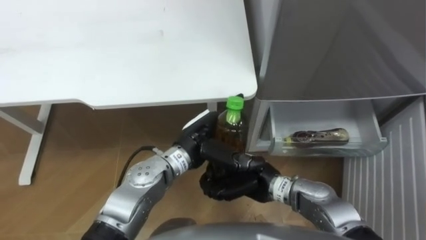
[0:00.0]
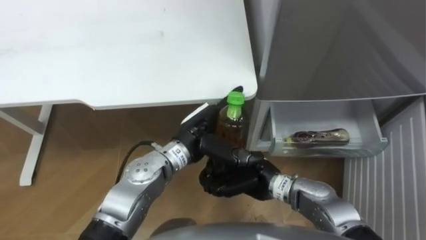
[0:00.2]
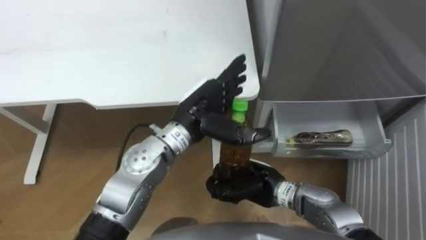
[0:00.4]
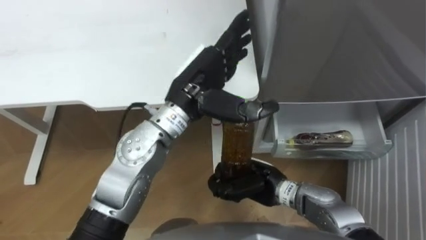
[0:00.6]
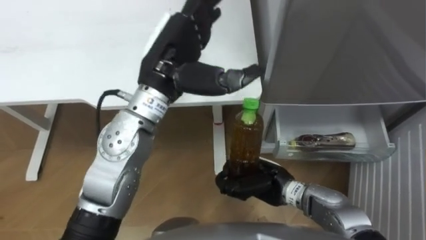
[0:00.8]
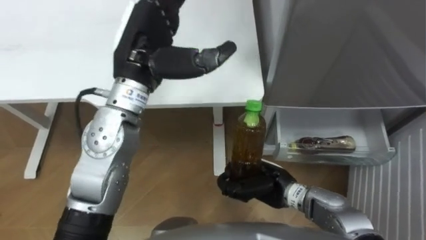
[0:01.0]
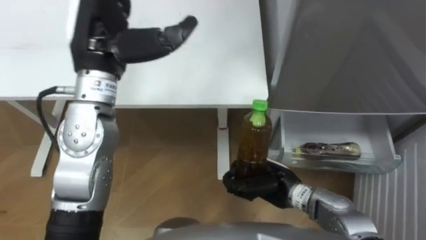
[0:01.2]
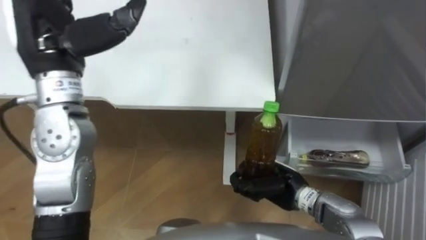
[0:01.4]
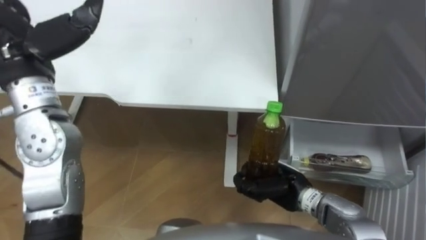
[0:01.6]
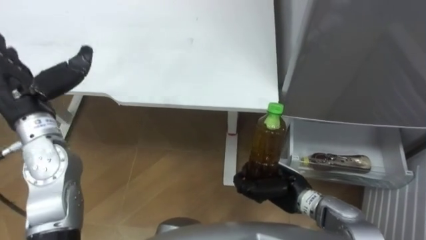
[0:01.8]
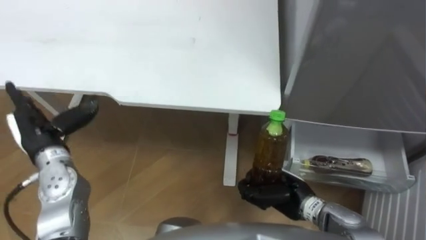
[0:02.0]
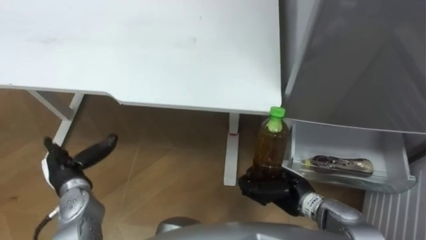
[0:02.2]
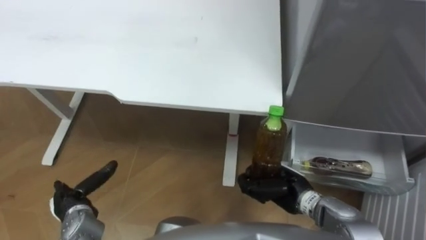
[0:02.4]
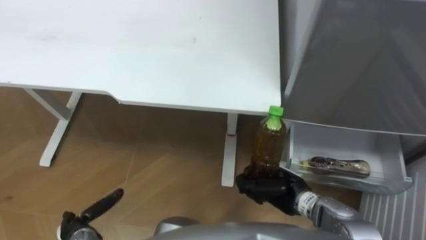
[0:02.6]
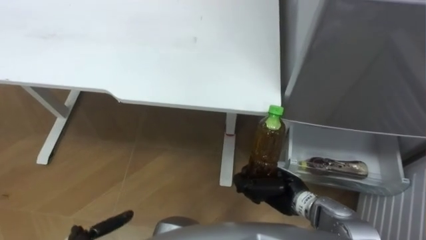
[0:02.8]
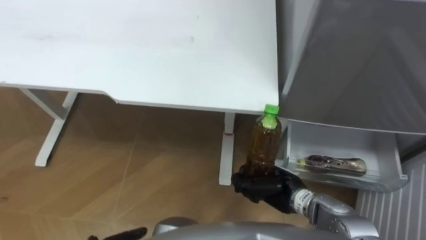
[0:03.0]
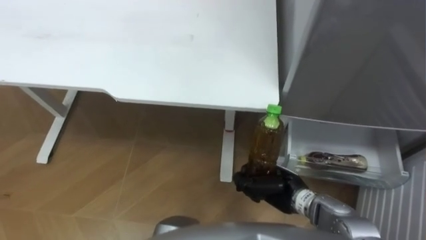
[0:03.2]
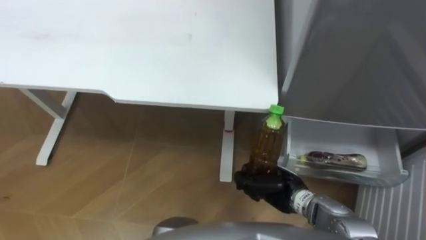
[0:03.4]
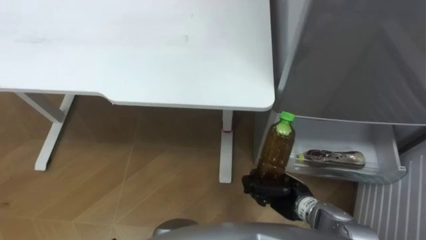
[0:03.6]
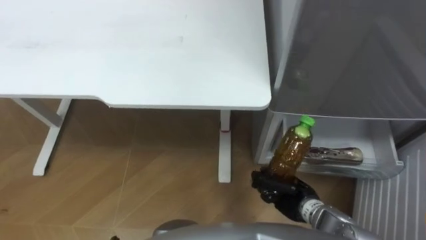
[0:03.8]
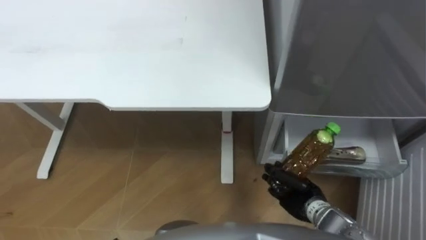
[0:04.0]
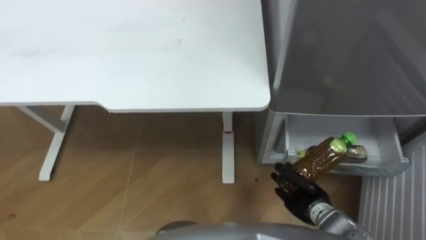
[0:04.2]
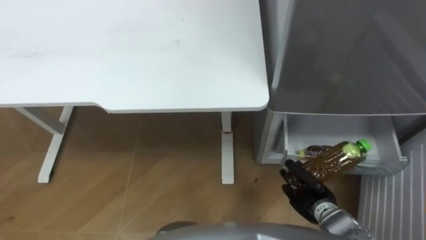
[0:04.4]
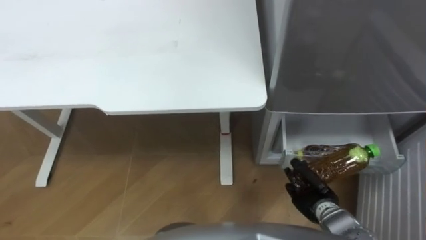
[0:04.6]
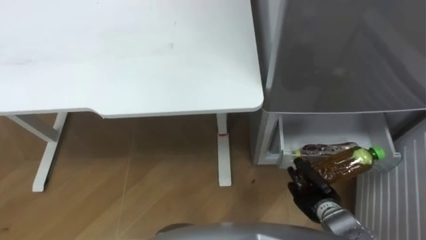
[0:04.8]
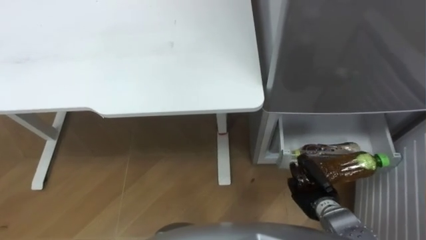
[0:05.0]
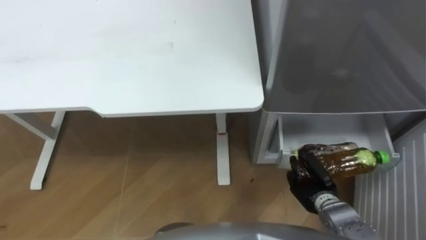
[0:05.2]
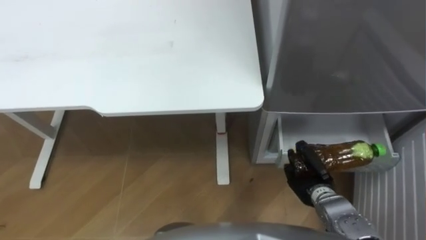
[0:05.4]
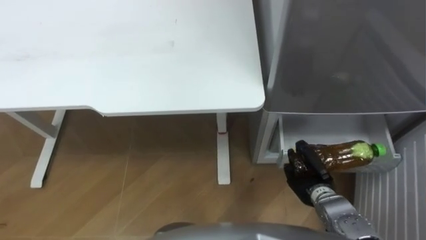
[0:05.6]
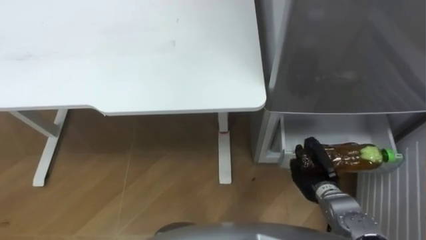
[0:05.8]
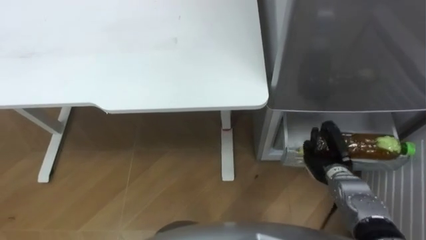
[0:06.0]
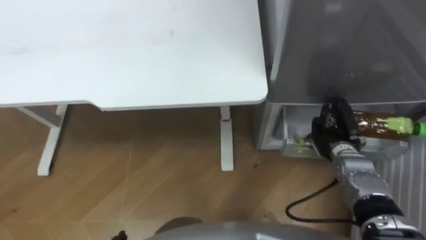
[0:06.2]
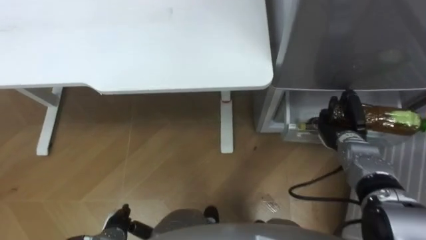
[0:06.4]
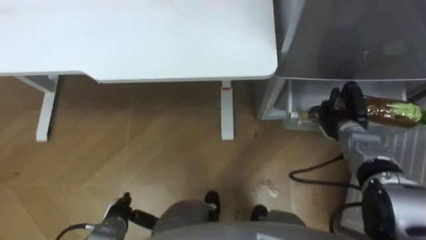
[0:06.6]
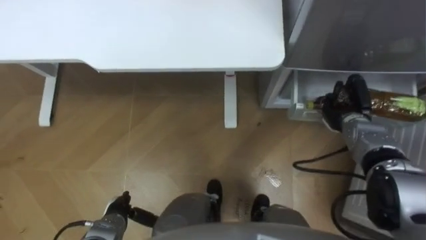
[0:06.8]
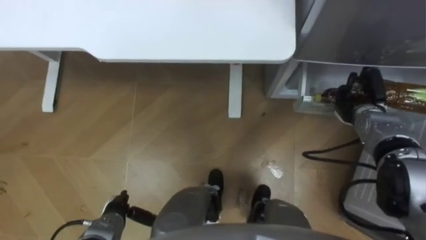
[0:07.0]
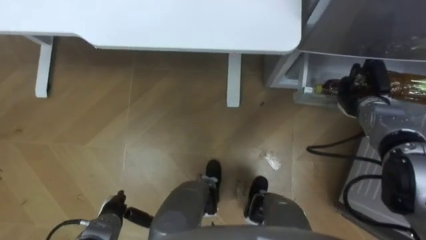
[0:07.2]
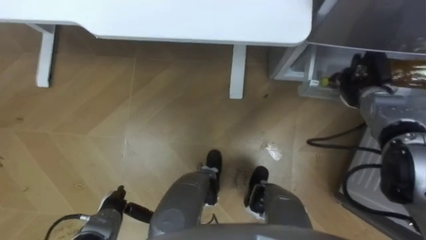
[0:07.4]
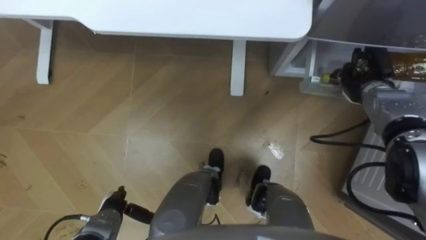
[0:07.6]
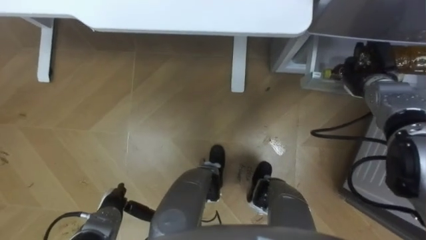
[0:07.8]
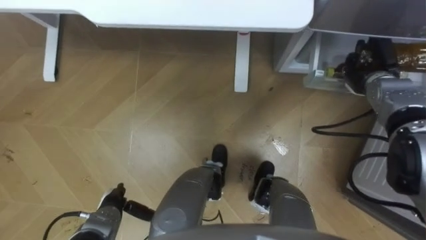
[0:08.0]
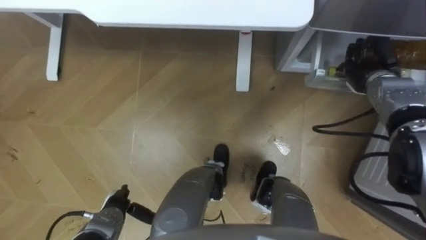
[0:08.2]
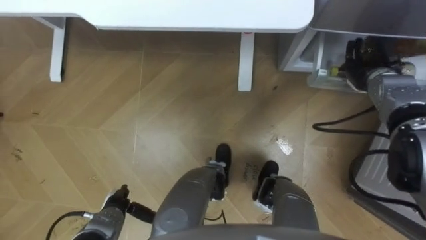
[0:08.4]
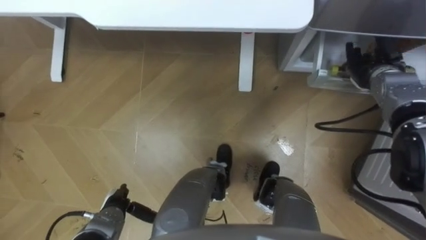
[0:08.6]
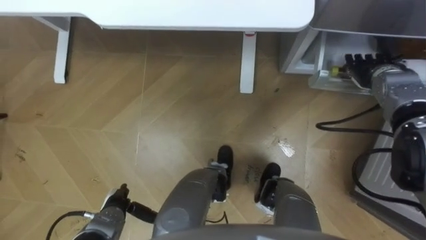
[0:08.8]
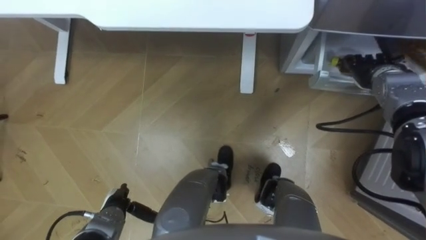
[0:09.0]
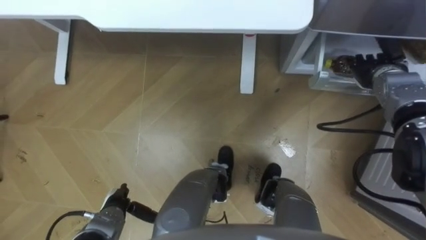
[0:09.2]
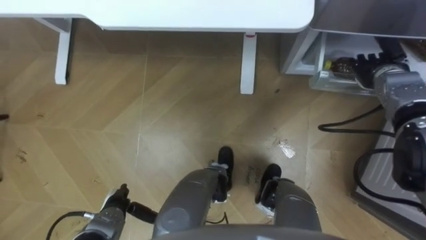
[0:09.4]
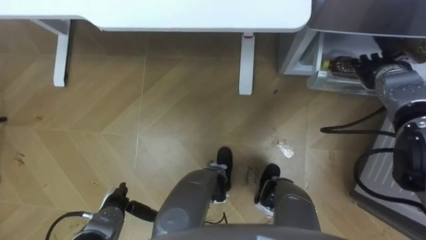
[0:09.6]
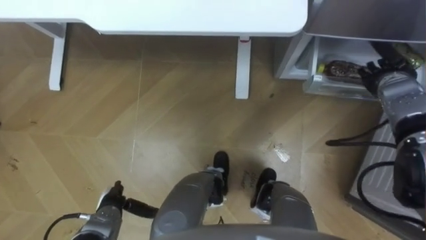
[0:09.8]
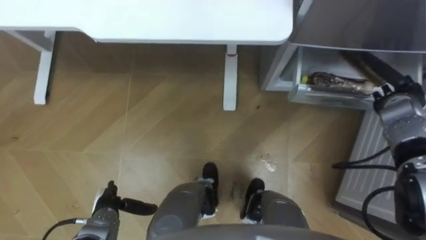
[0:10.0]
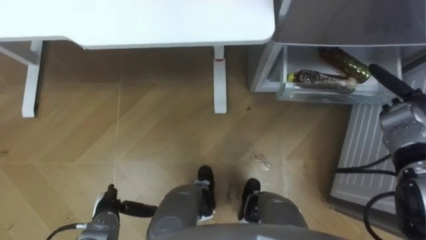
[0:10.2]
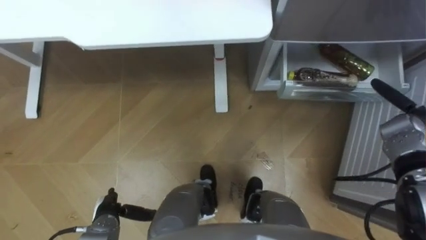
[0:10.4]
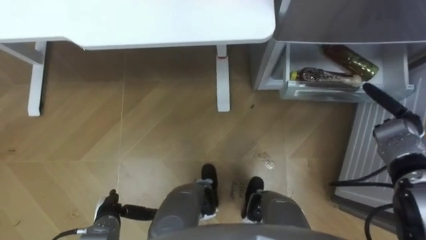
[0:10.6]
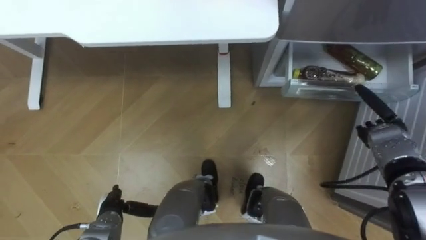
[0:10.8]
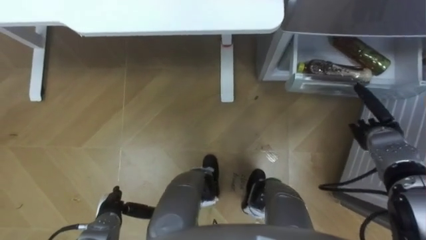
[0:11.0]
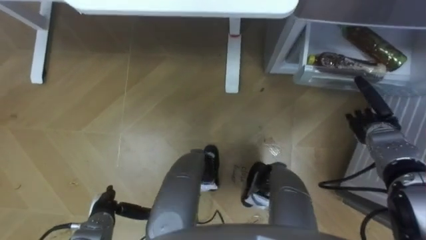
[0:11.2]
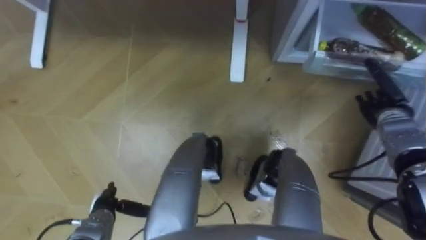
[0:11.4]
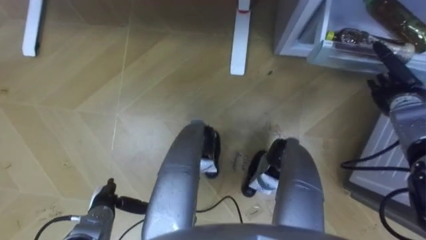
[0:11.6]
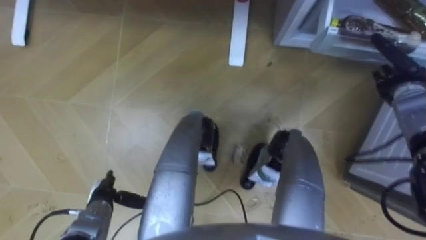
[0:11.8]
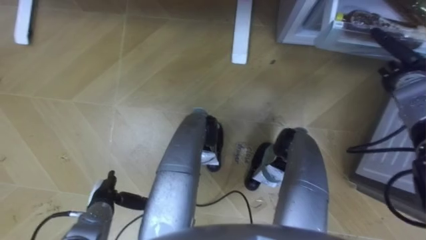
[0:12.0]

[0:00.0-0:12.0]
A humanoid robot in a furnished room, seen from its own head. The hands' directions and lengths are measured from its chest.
Task of the whole recording: Place the drink on the table on the bottom shelf of the refrigerator, then close the drawer and the refrigerator door.
0:00.0 to 0:01.6: The right hand travels to the right by some 5 cm. The left hand goes approximately 30 cm to the left and upward.
0:03.0 to 0:04.4: The right hand heads to the right, covering roughly 10 cm.
0:04.4 to 0:06.0: The right hand is displaced forward by roughly 5 cm.
0:06.0 to 0:07.6: The right hand goes roughly 20 cm forward, upward and to the right.
0:07.6 to 0:09.0: The right hand opens.
0:09.0 to 0:10.4: The right hand travels backward and to the right by about 10 cm.
0:10.4 to 0:12.0: The right hand is displaced forward and upward by approximately 10 cm.

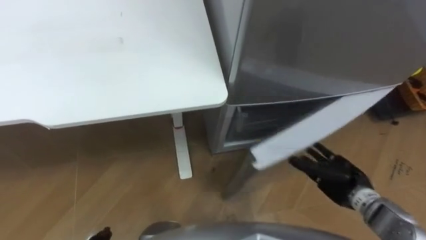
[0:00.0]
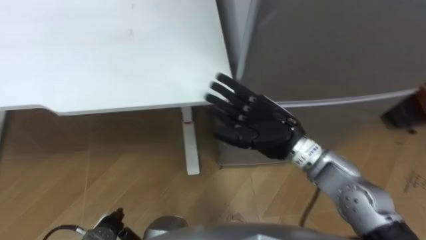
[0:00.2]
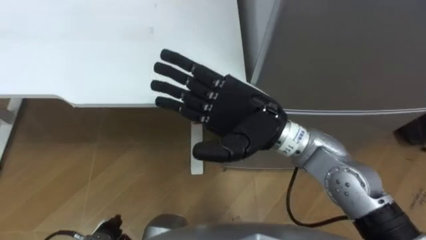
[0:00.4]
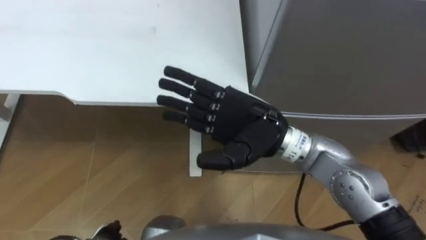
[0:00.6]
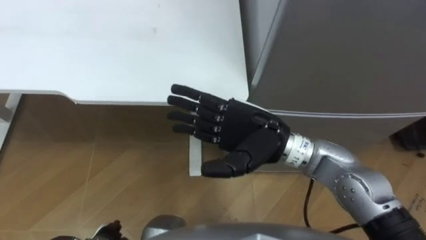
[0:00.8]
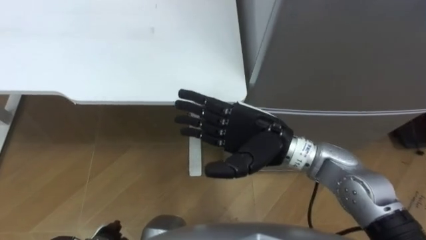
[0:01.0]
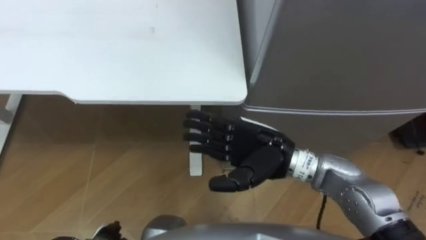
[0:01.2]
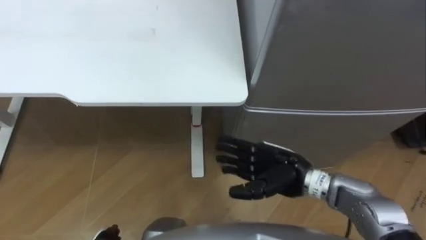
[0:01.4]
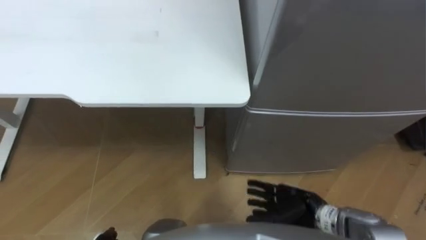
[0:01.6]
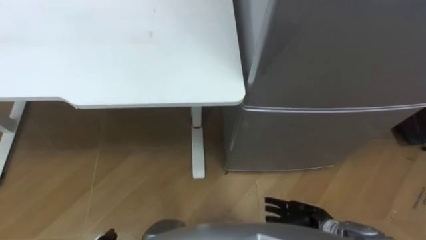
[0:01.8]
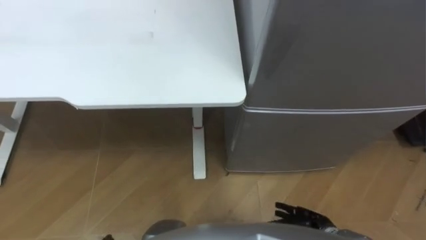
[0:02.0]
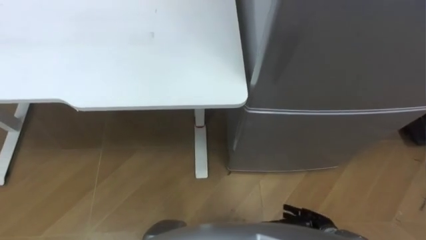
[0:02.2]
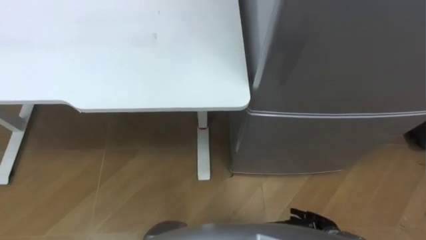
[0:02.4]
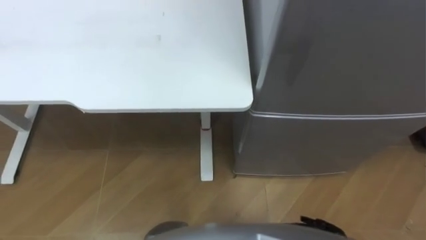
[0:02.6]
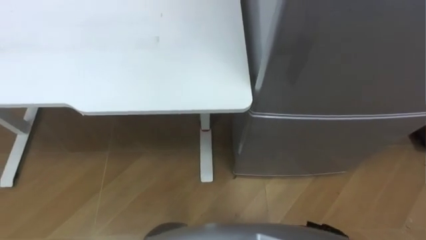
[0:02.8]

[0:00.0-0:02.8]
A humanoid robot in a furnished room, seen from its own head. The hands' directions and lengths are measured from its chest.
Task of the whole recording: Place the drink on the table on the bottom shelf of the refrigerator, then close the drawer and the refrigerator door.
0:00.0 to 0:01.4: The right hand goes about 15 cm to the left, and reaches approximately 25 cm upward, then returns.

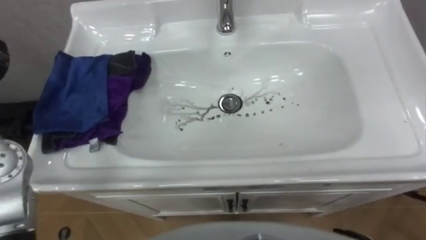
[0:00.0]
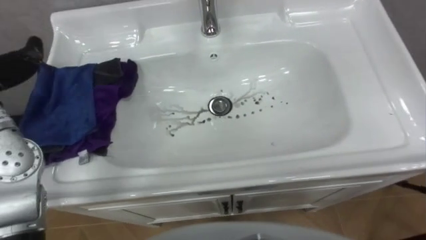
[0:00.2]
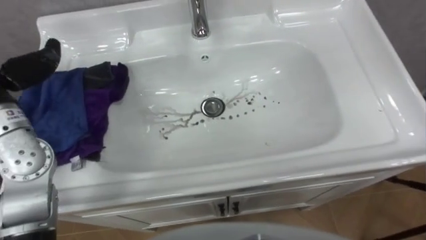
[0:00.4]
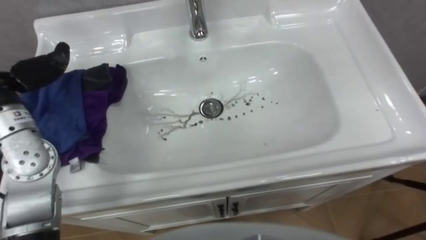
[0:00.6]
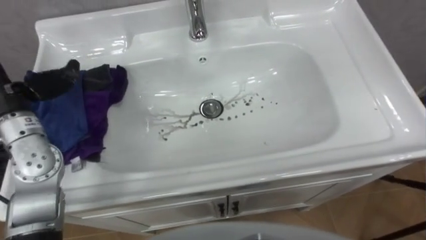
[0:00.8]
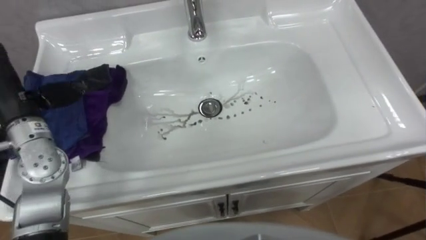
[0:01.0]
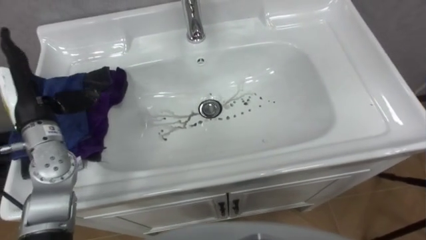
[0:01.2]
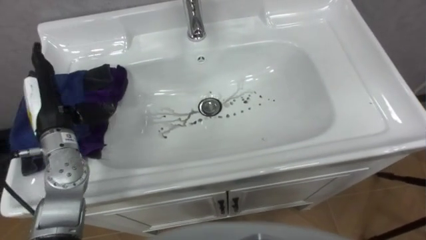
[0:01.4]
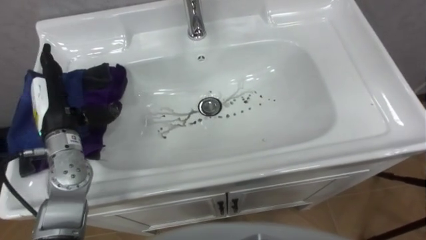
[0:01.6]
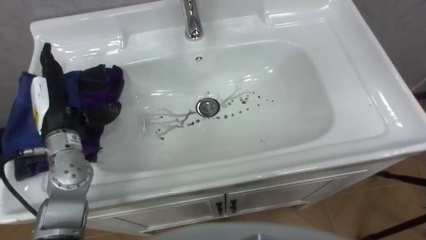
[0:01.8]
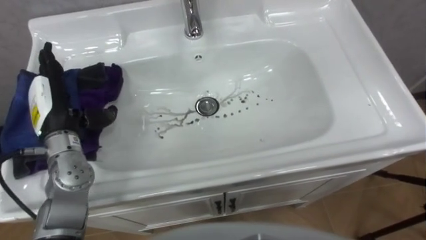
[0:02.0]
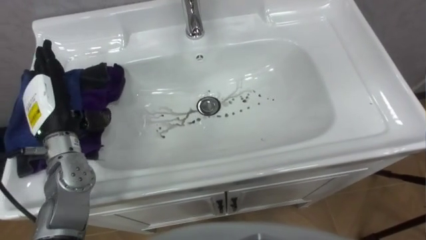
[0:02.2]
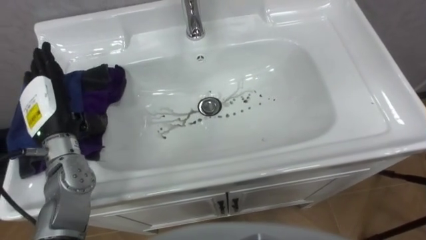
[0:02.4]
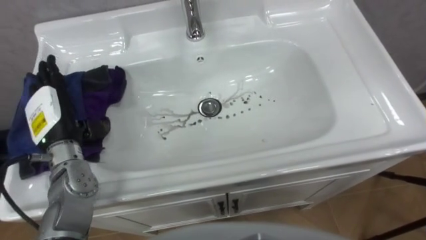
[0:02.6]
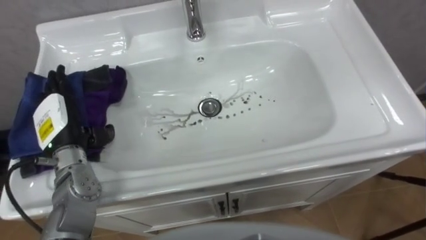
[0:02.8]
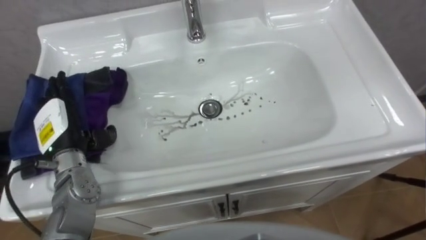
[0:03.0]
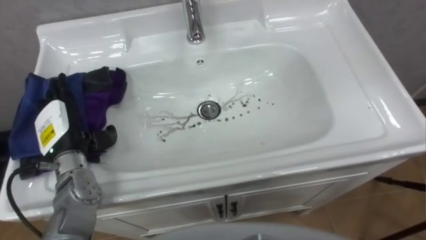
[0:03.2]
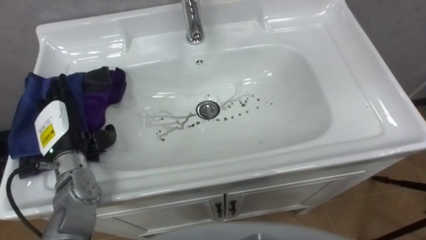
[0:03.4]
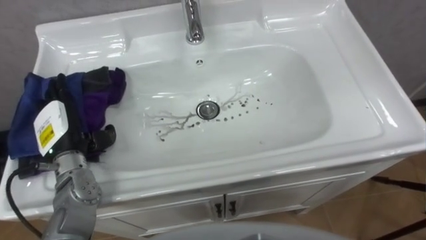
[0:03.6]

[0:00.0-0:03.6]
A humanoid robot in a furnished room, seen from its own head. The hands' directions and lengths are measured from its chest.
Task of the whole recording: Use the cloth on the right to wipe away the black stain in the sink.
0:01.8 to 0:03.6: The left hand shifts by about 5 cm.
